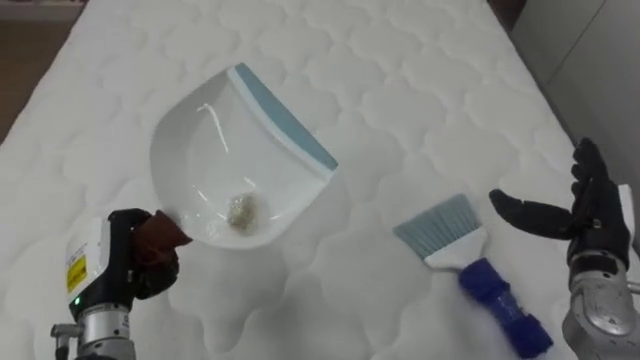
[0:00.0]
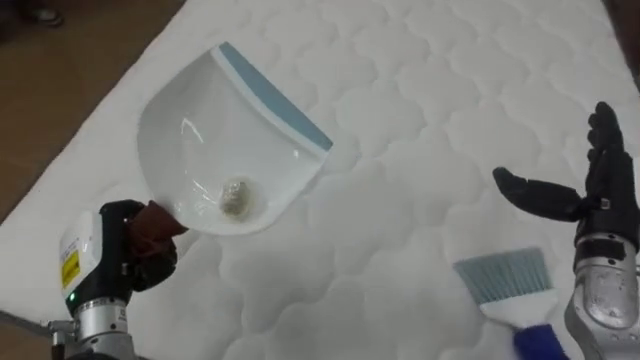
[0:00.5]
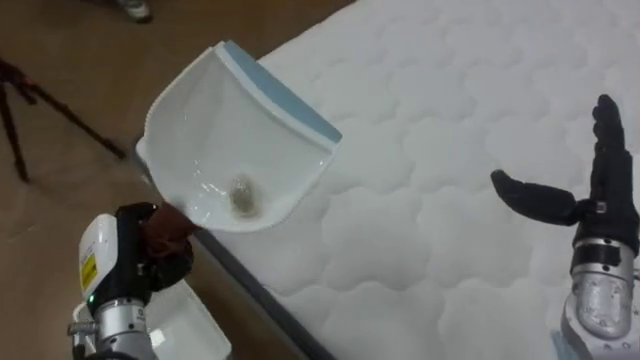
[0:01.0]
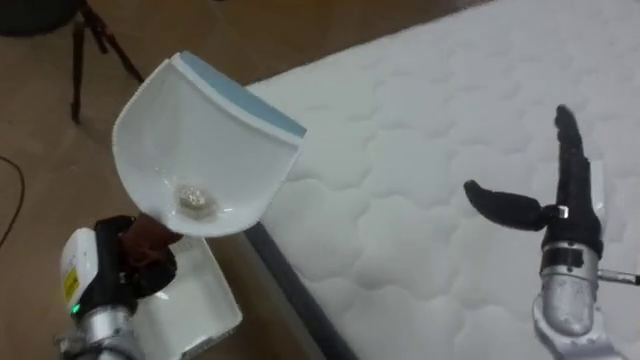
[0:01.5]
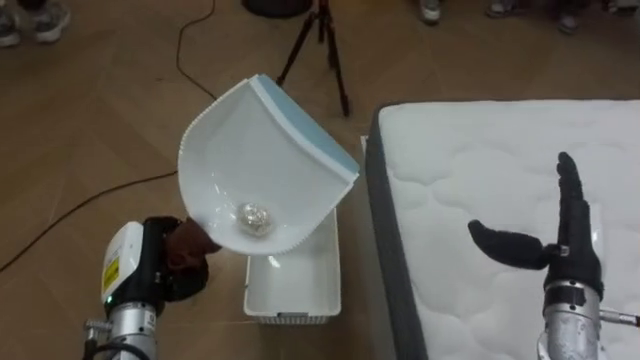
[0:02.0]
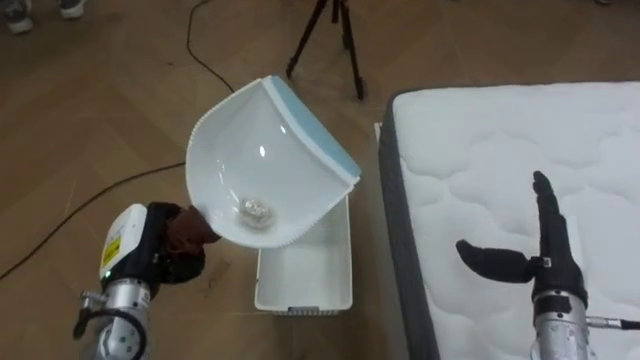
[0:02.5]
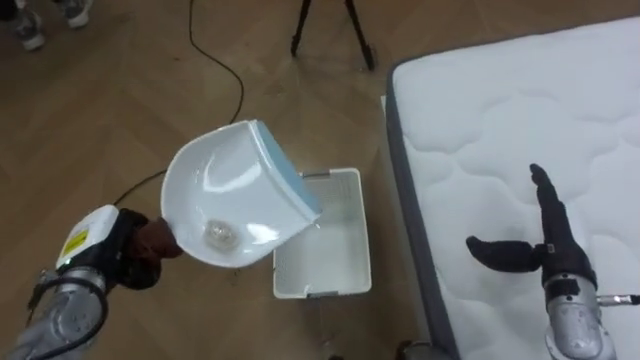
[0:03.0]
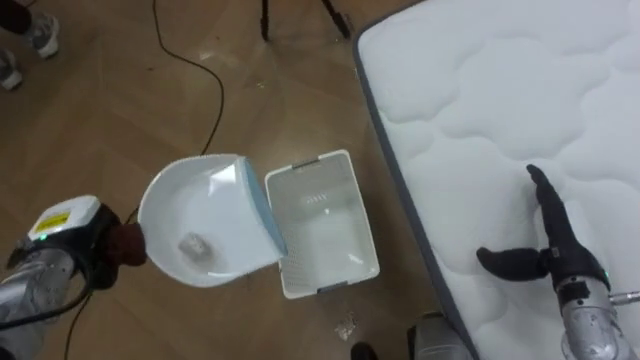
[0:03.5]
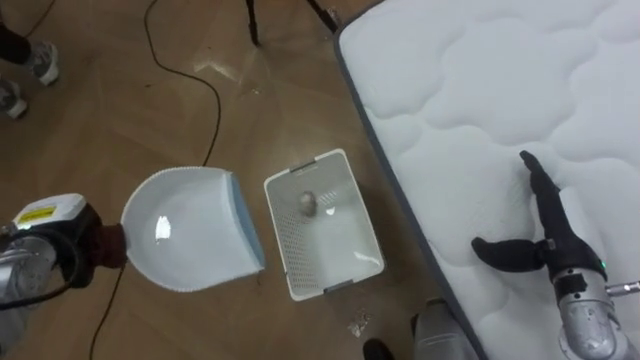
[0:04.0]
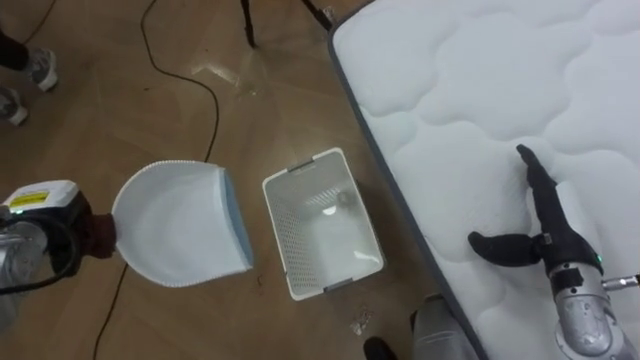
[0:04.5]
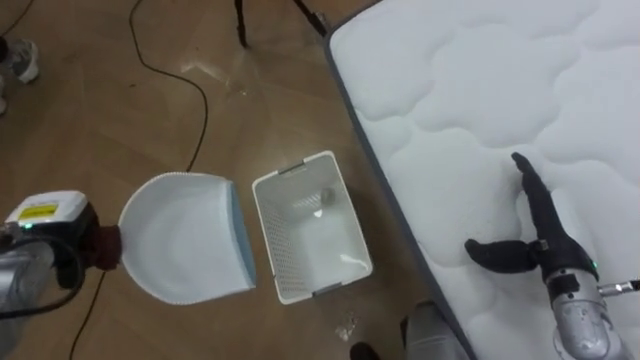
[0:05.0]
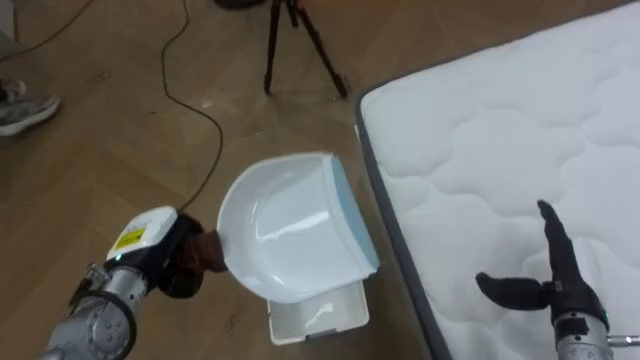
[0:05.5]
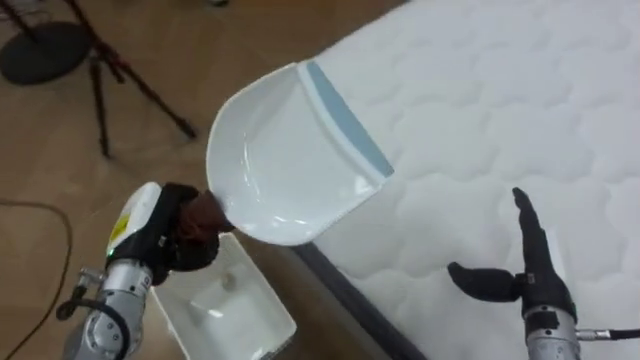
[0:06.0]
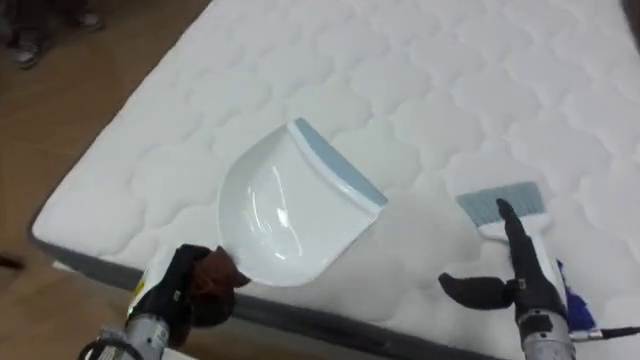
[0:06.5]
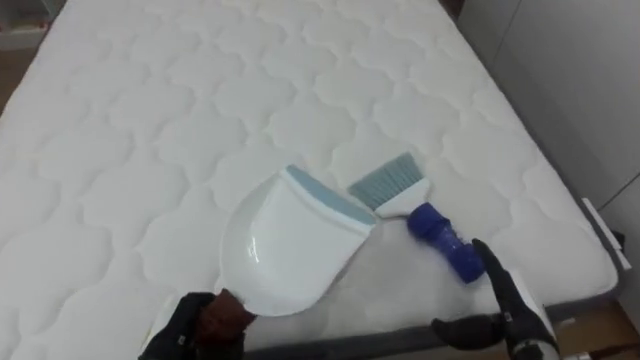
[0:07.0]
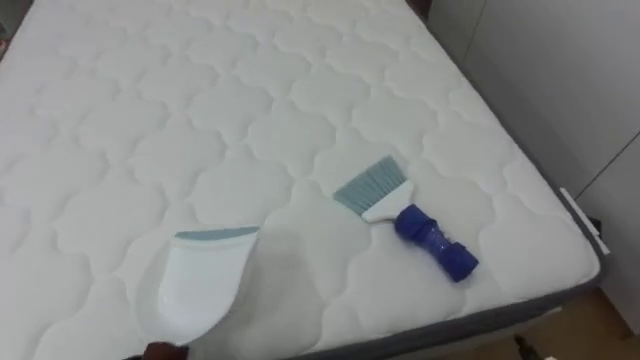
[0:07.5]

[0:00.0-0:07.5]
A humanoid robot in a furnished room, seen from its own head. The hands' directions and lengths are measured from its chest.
Task of the whole recording: Pick up the brush on your right and the dustpan on your left. Use the brush to sweep the crumpled paper on the bed into the dustpan, then turn left and empty it into the basket.
0:00.0 to 0:02.0: The robot rotates roughly 90 degrees to its left.
0:02.0 to 0:04.0: The left hand travels to the left and forward by some 15 cm.
0:04.0 to 0:05.5: The left hand heads to the right, covering roughly 10 cm. The right hand ends up about 5 cm from where it was.
0:05.5 to 0:07.5: The robot turns to its right by approximately 95 degrees.

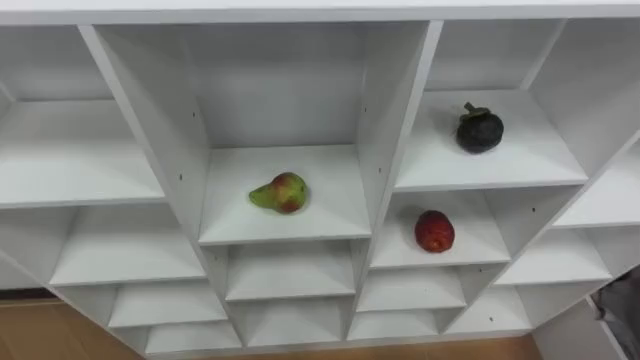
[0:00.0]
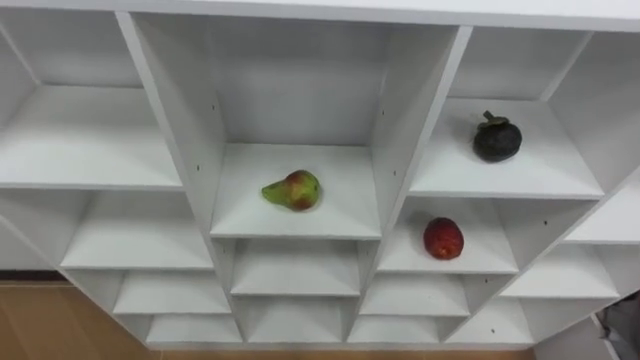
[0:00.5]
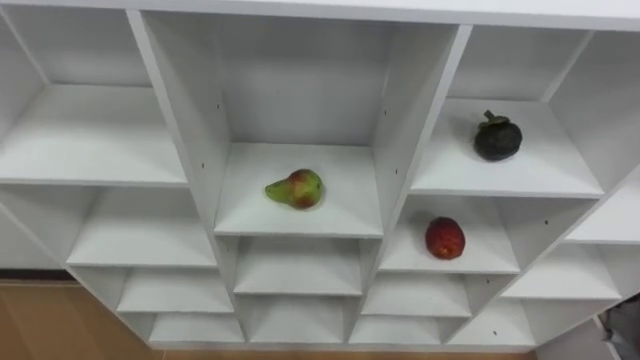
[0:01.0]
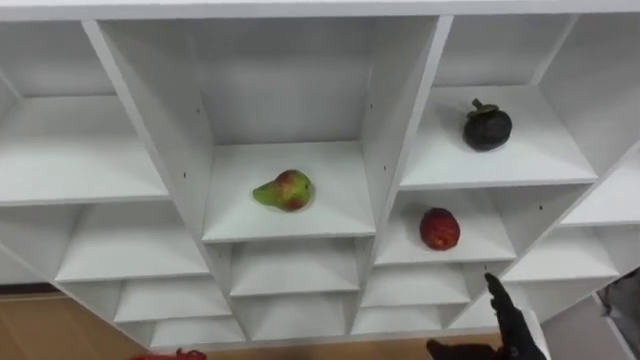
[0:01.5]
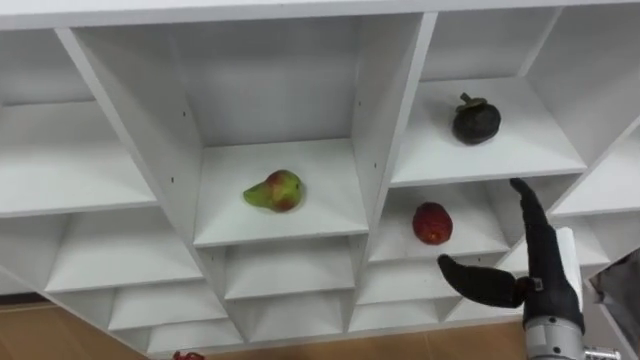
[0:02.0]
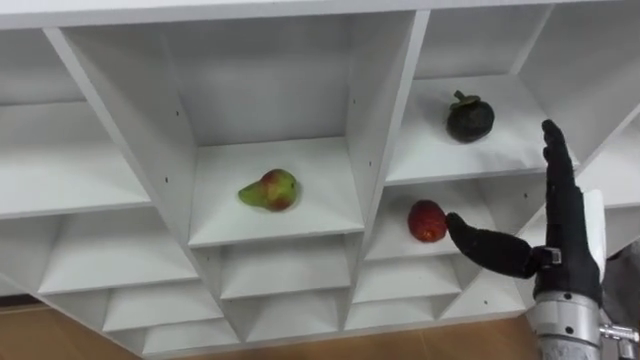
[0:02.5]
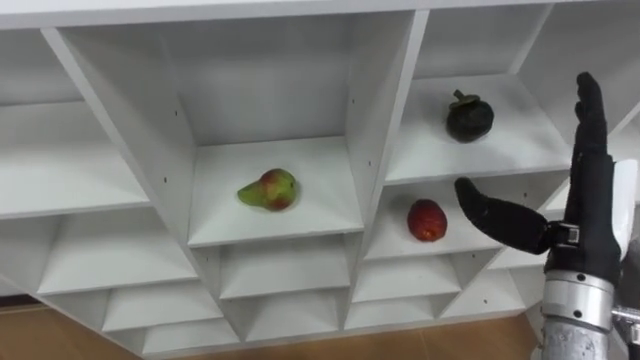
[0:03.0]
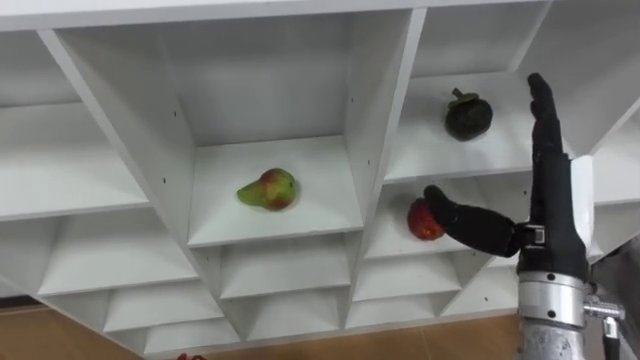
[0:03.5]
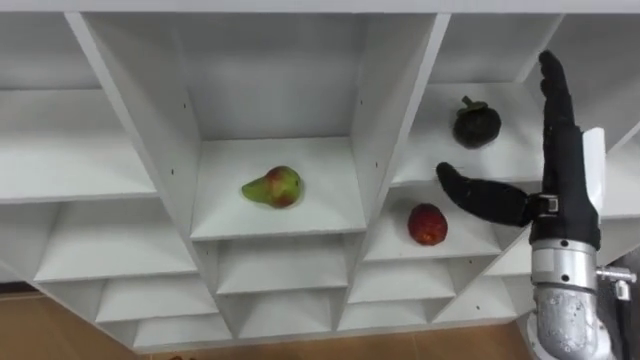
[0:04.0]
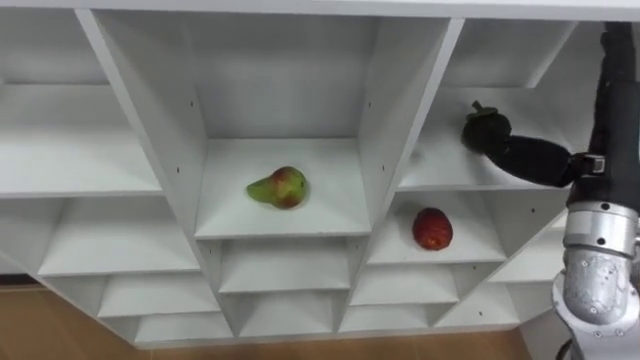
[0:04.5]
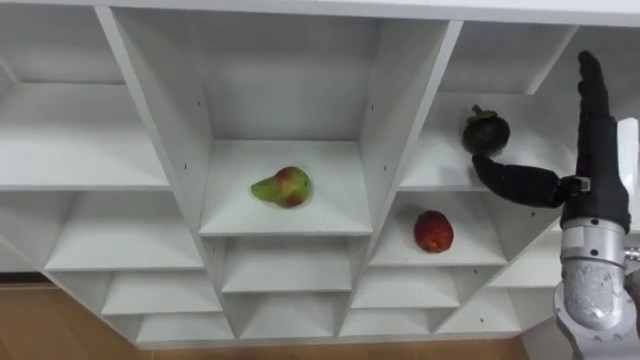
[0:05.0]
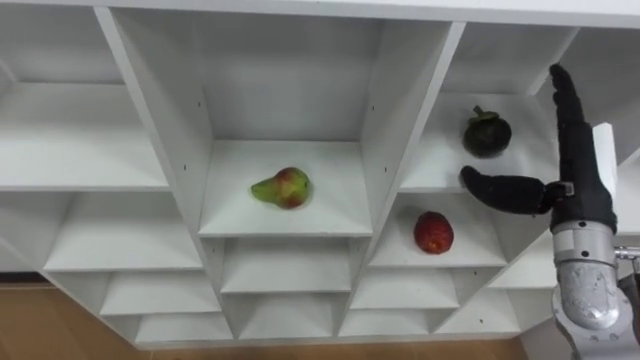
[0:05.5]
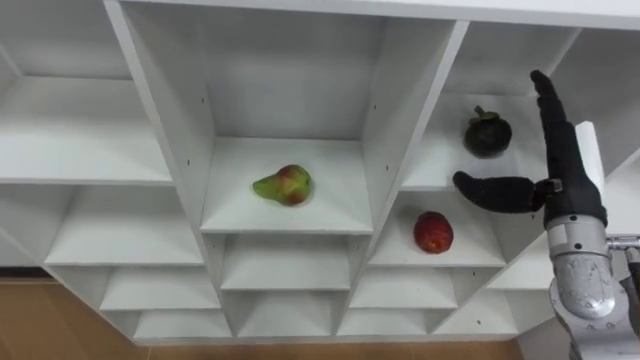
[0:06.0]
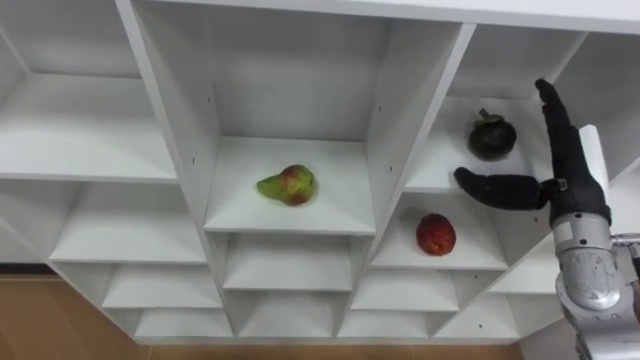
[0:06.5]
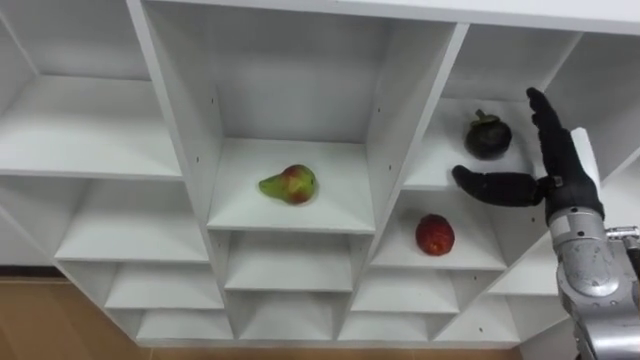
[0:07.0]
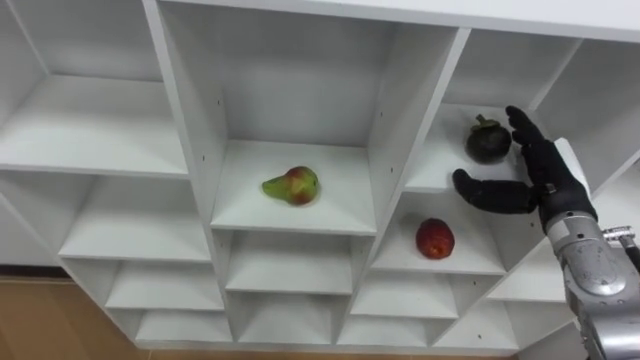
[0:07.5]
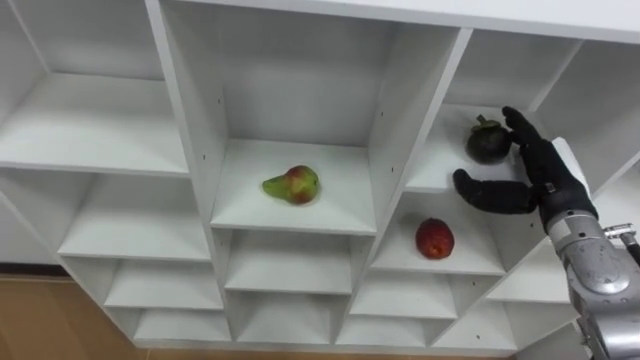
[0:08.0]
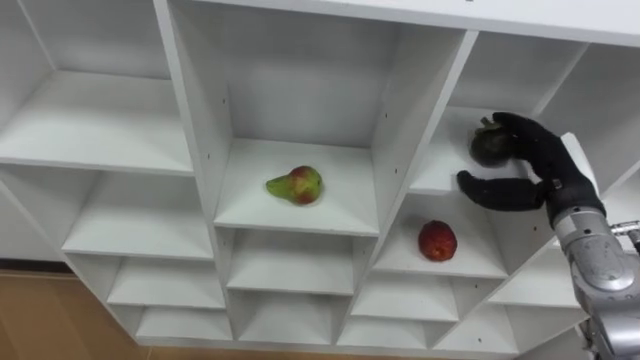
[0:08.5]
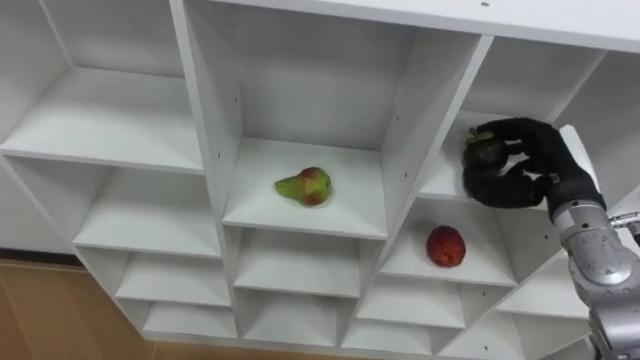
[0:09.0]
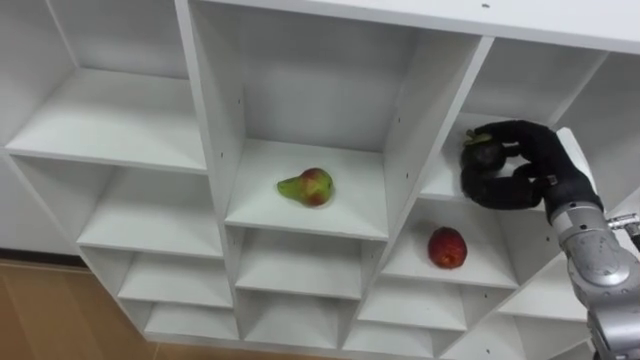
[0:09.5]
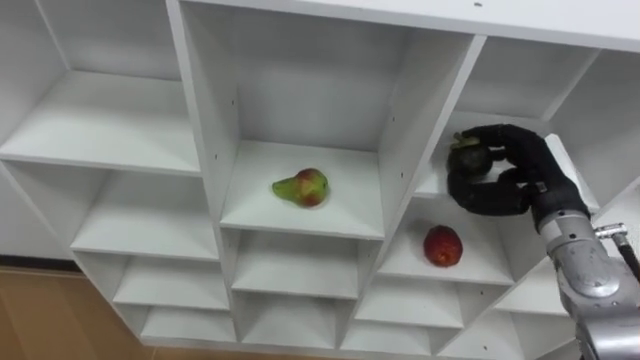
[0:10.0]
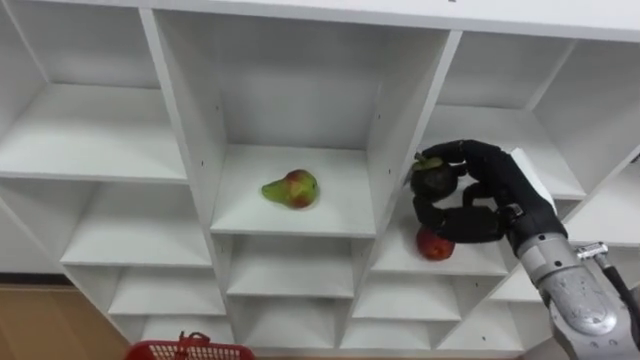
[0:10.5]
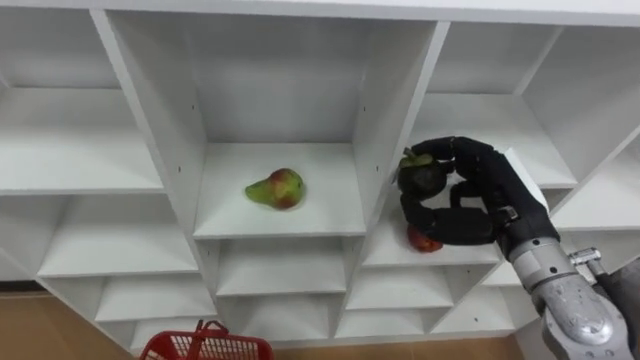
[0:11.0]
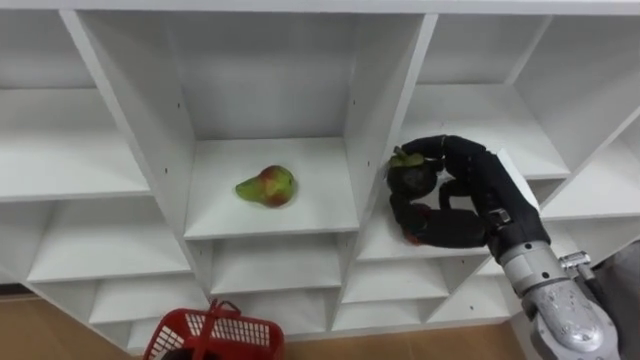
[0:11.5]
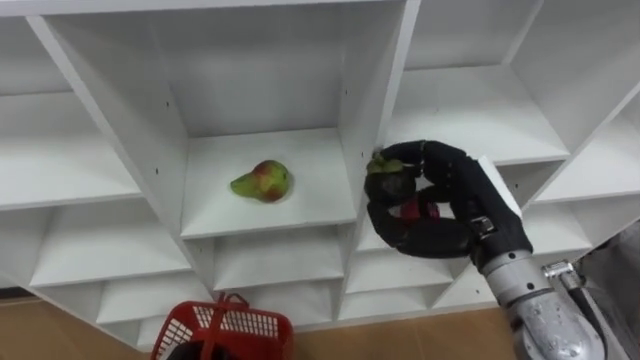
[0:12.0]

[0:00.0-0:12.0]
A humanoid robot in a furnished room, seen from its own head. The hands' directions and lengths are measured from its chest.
Task of the whole recording: Hold the basket and collect the fruits from 3 different cells of the closet into it.
0:02.0 to 0:04.0: The right hand travels upward by approximately 10 cm.
0:04.0 to 0:06.0: The right hand moves roughly 5 cm.
0:06.0 to 0:08.0: The right hand ends up approximately 5 cm from where it was.
0:08.0 to 0:10.0: The right hand closes.
0:10.0 to 0:12.0: The right hand moves to the left and backward, roughly 10 cm.
